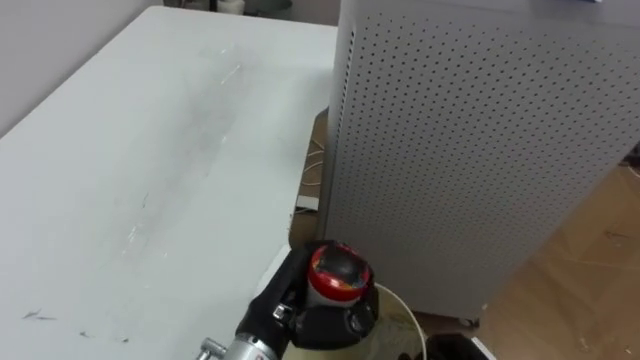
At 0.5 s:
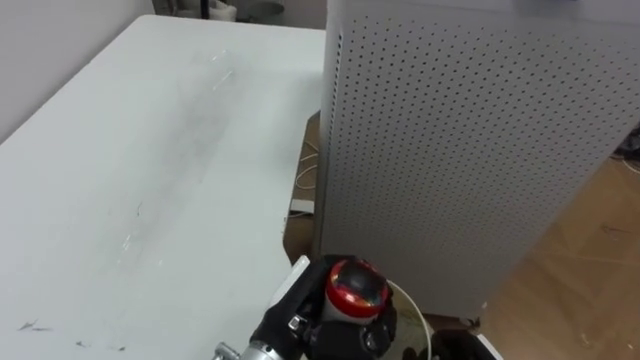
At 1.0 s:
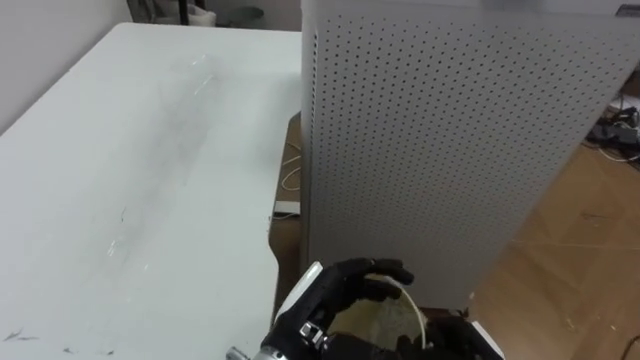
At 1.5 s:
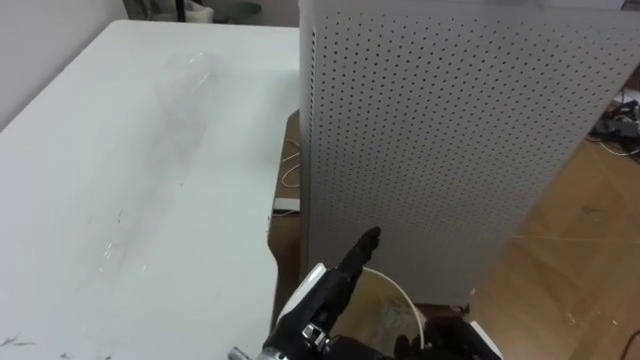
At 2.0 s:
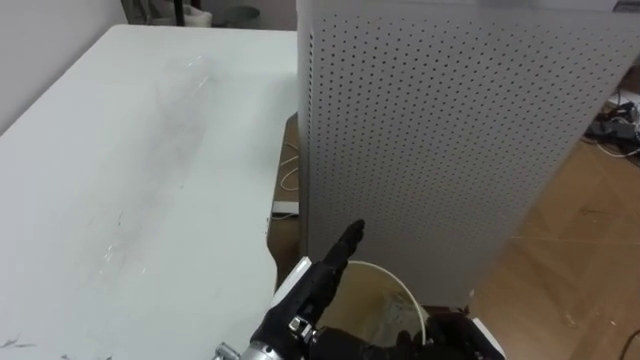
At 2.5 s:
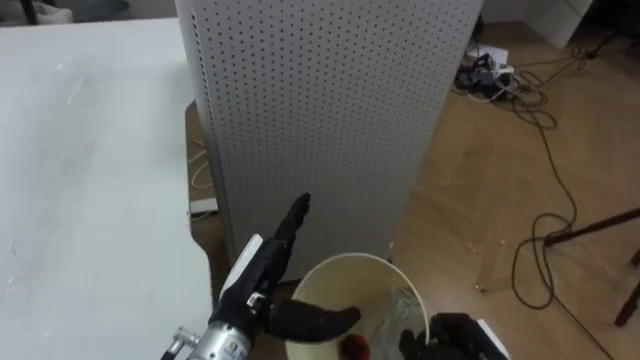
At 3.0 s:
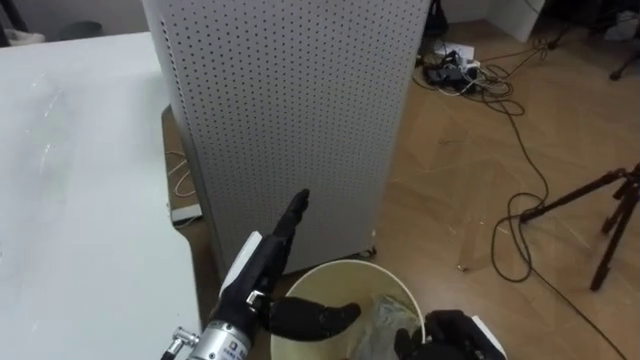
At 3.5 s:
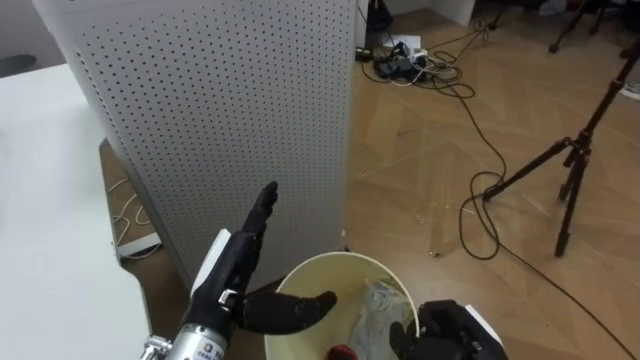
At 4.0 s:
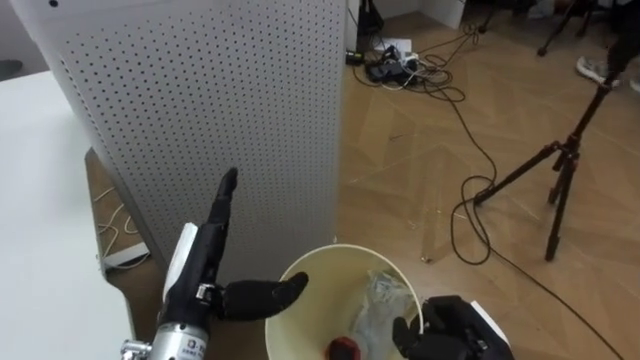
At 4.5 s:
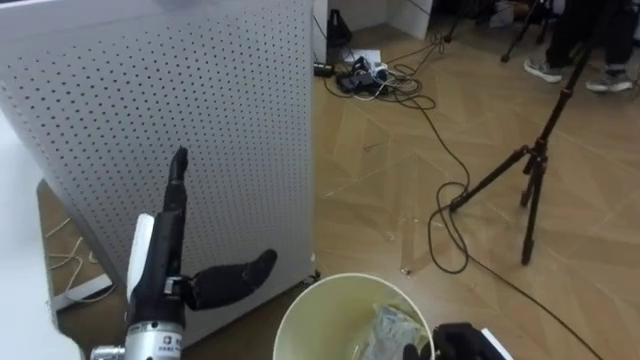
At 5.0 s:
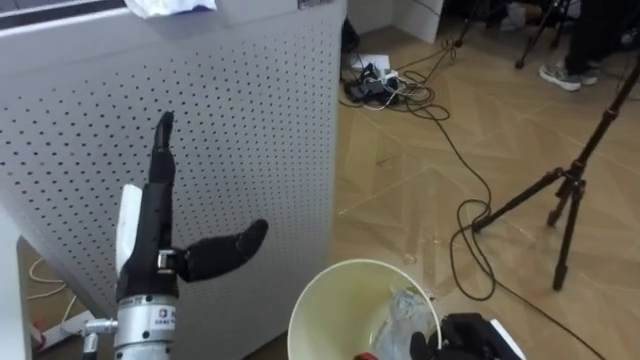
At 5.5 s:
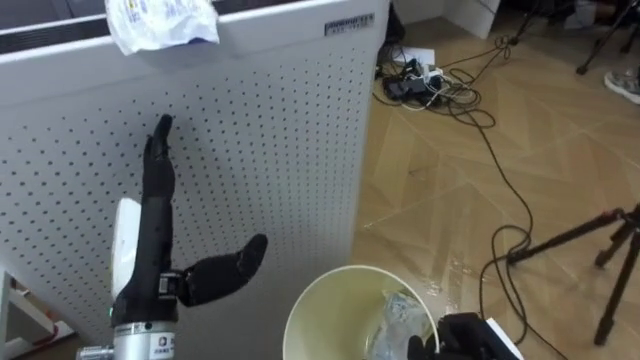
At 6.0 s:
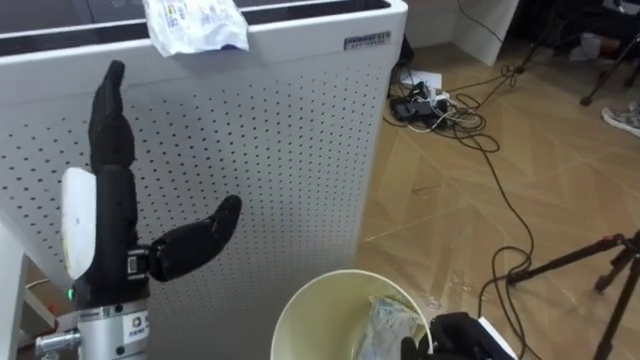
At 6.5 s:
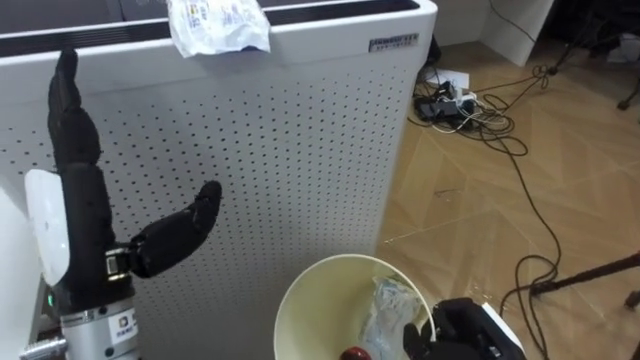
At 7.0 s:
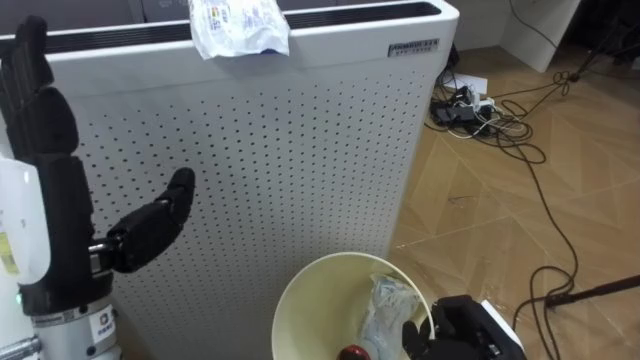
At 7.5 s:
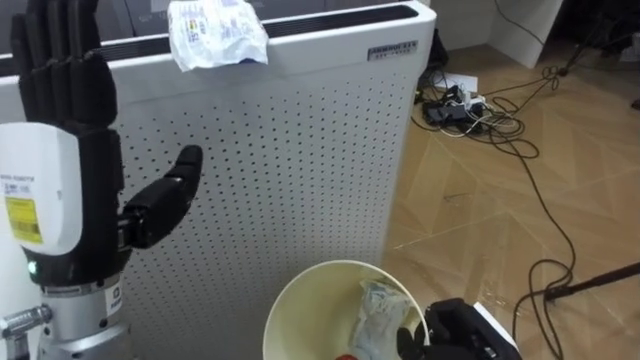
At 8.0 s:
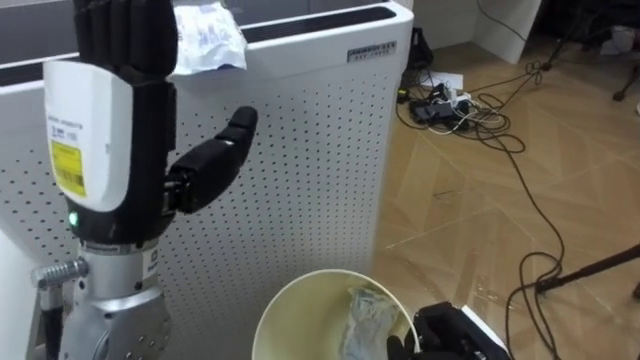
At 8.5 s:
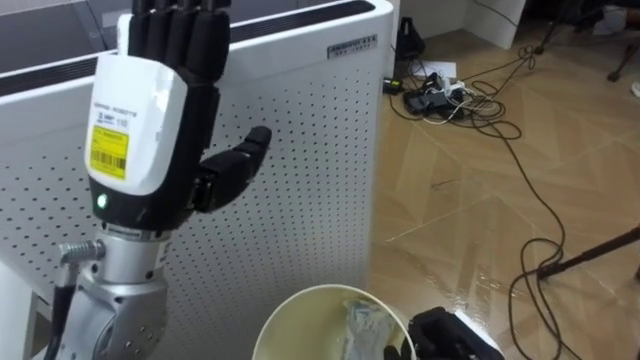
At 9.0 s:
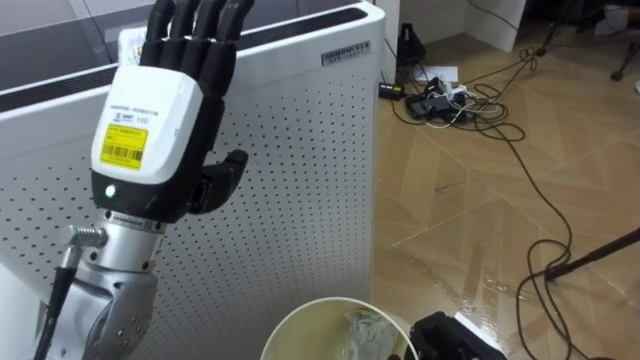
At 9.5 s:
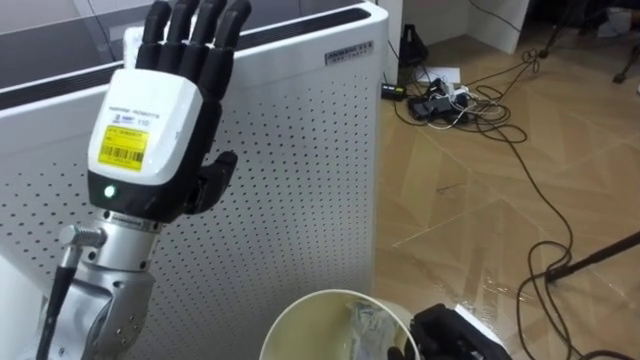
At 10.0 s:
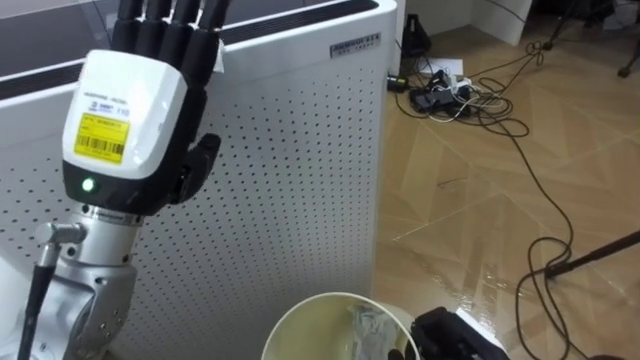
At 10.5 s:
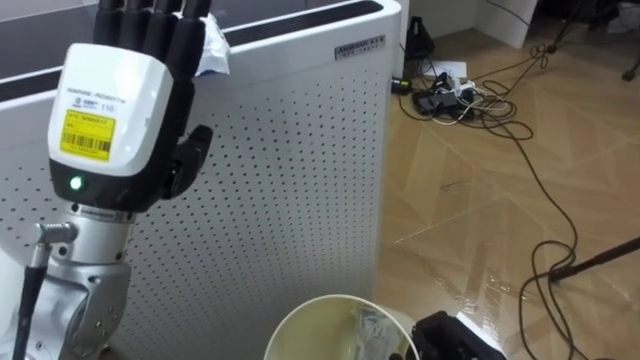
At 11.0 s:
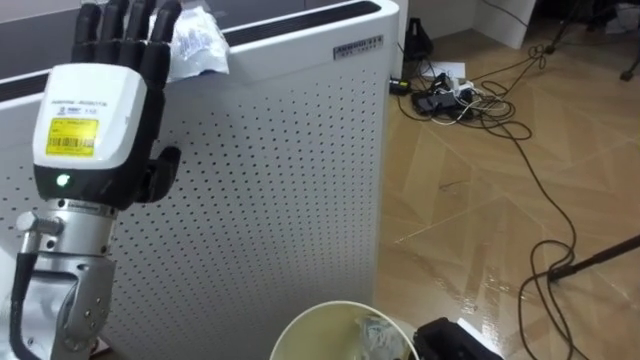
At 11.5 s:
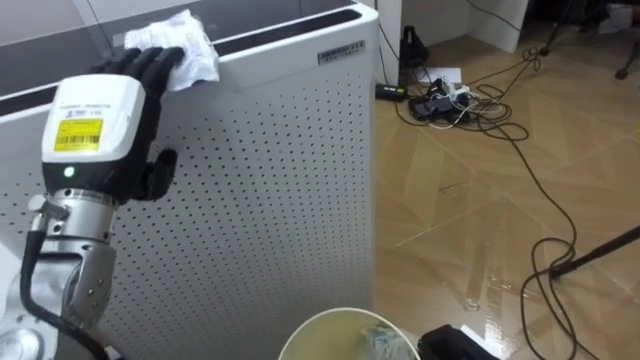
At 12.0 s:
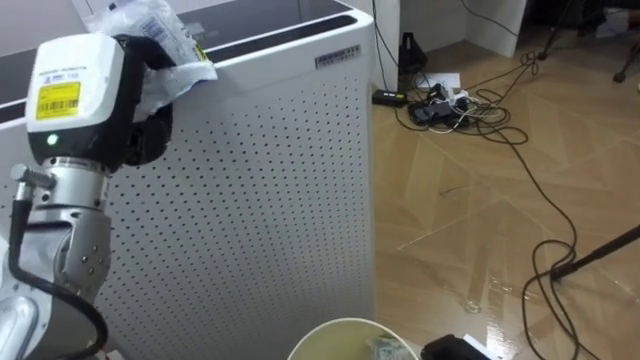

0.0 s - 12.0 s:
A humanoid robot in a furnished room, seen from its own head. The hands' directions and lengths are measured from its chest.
Task of the whole recording: Pick up the light blue package, the candy box, and the dark blue package separately, and put them into the trash can held in your right hand.
0.0 s - 2.0 s: The left hand opens up.
2.0 s - 4.0 s: The robot turns to its right by approximately 40 degrees. The left hand moves to the left, about 10 cm.
4.0 s - 6.0 s: The left hand travels upward by roughly 10 cm.
6.0 s - 8.0 s: The left hand shifts approximately 10 cm upward.
10.0 s - 12.0 s: The left hand heads forward and to the left, covering roughly 10 cm, and closes.

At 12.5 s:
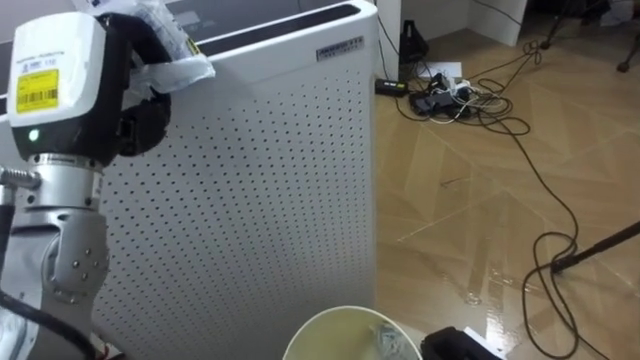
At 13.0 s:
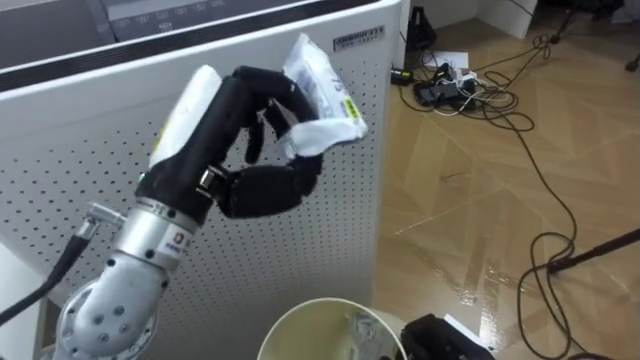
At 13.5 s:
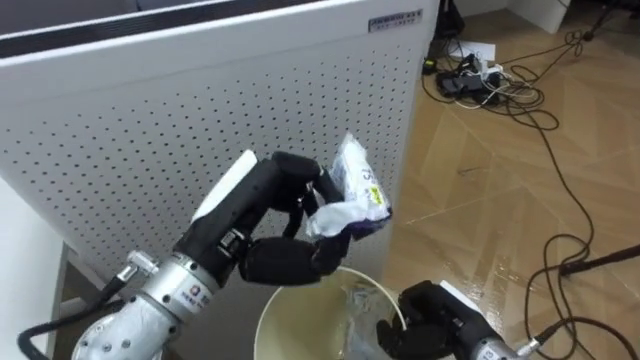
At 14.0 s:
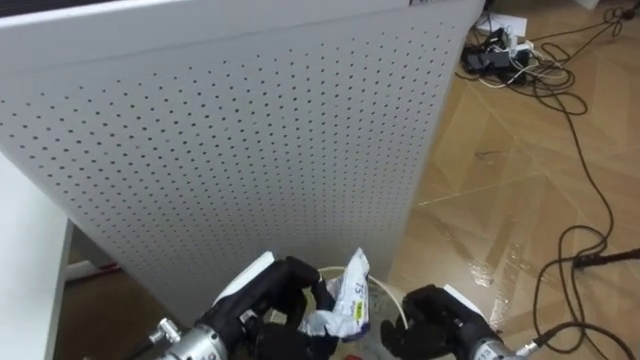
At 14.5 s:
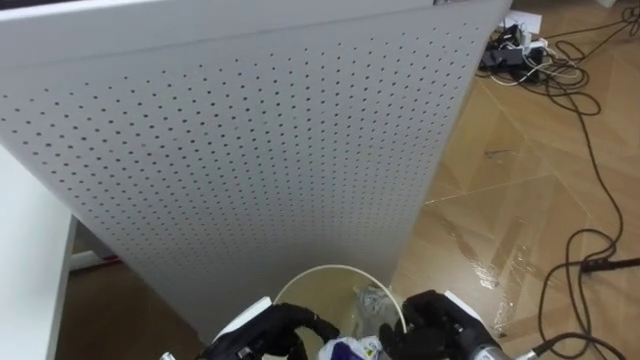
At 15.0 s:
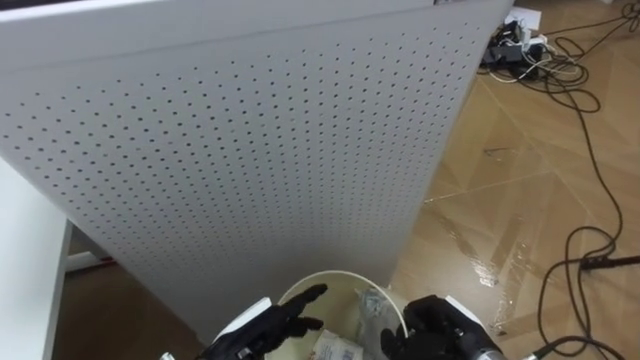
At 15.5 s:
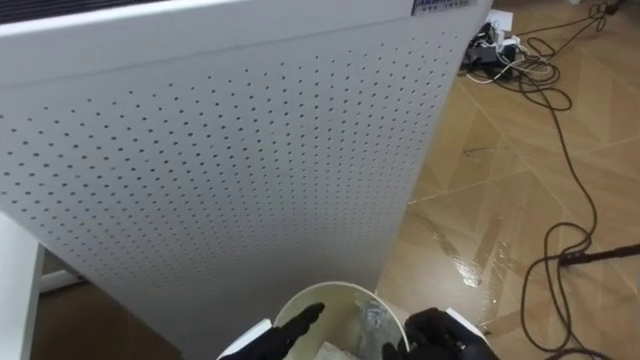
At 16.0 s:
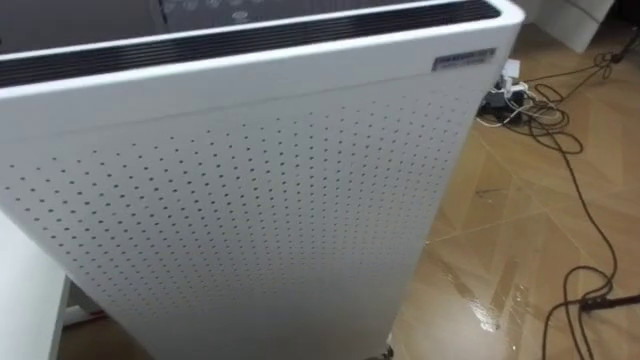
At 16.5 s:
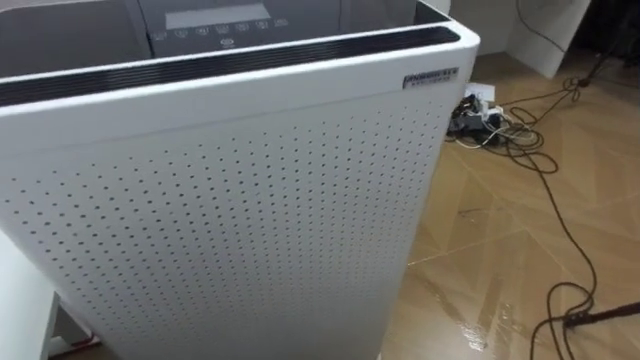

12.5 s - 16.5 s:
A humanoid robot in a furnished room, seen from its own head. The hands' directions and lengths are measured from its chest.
Task of the whole recording: Pick up the light blue package, the candy box, and the dark blue package separately, and put them into the trash can held in your right hand.
12.5 s - 14.5 s: The left hand heads downward and to the right, covering roughly 30 cm.

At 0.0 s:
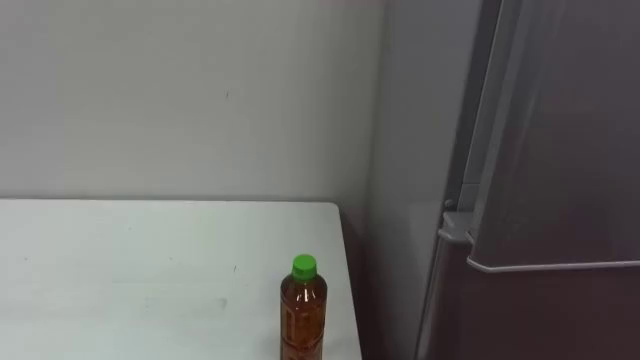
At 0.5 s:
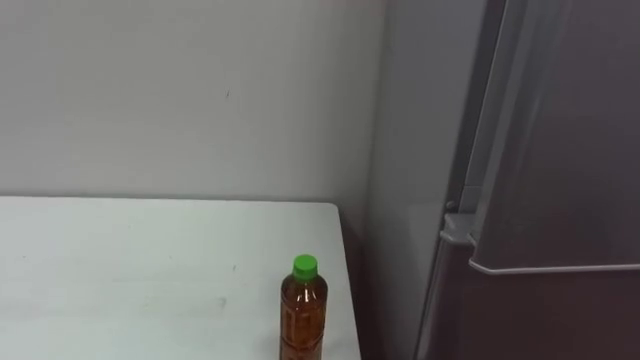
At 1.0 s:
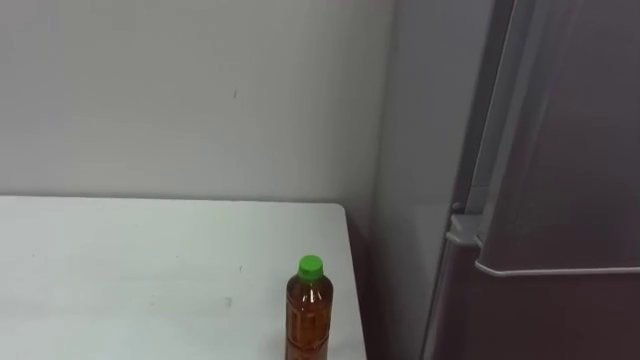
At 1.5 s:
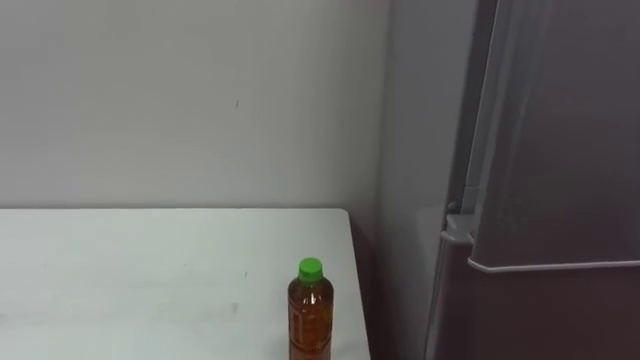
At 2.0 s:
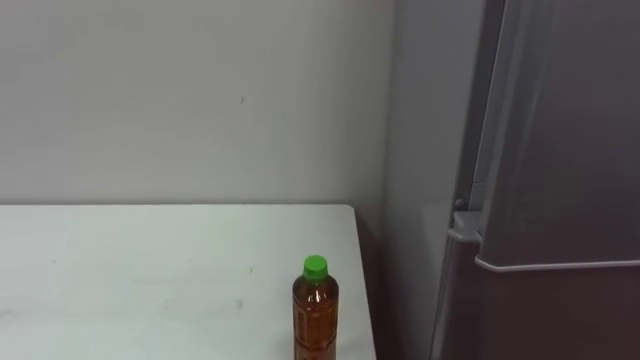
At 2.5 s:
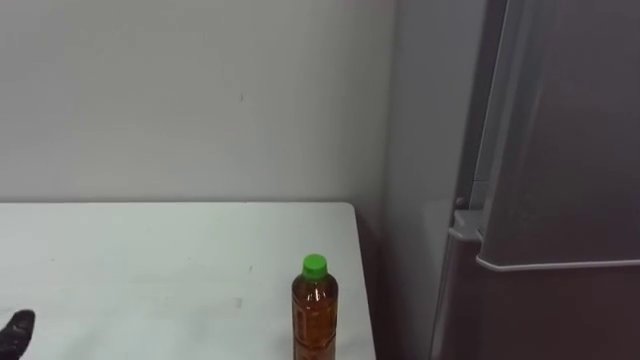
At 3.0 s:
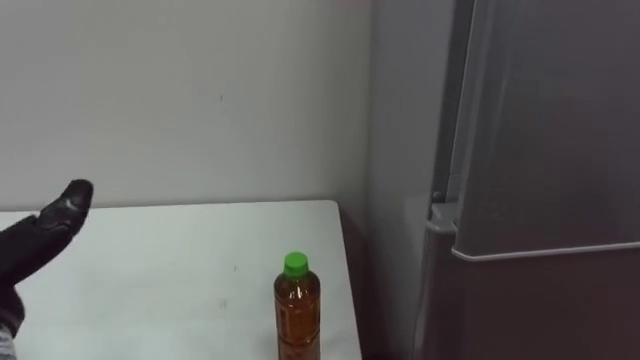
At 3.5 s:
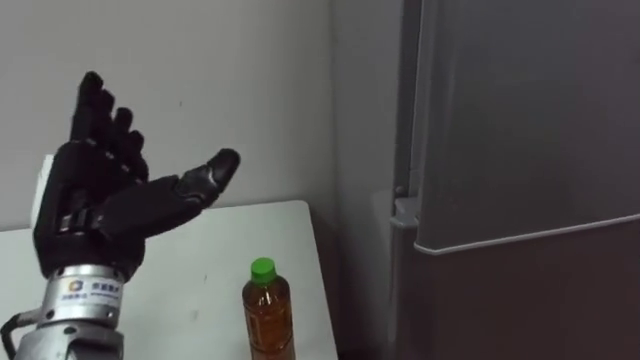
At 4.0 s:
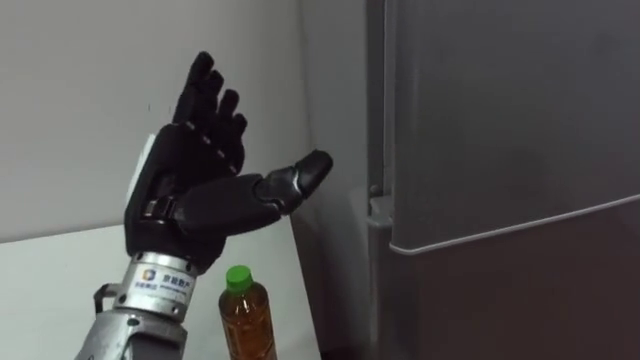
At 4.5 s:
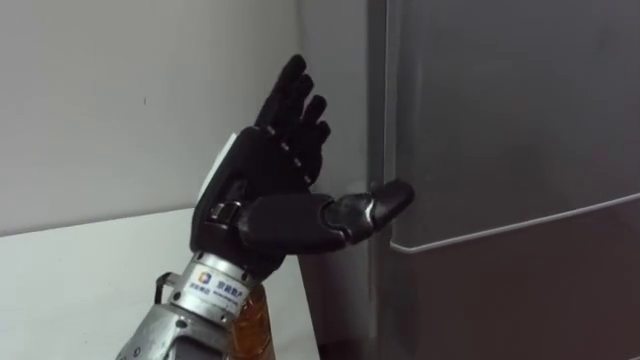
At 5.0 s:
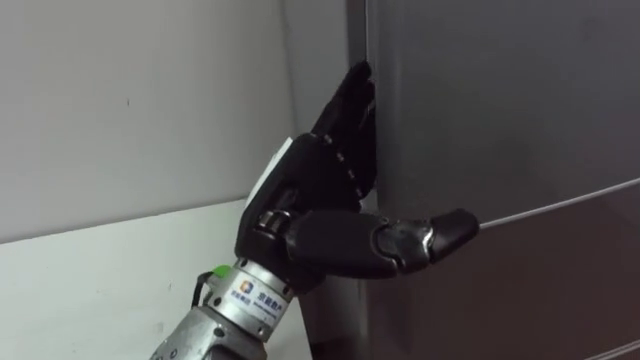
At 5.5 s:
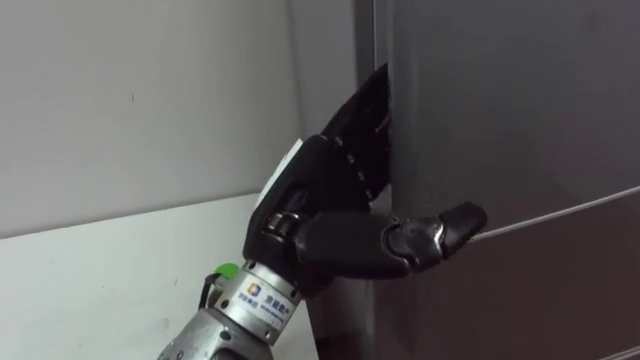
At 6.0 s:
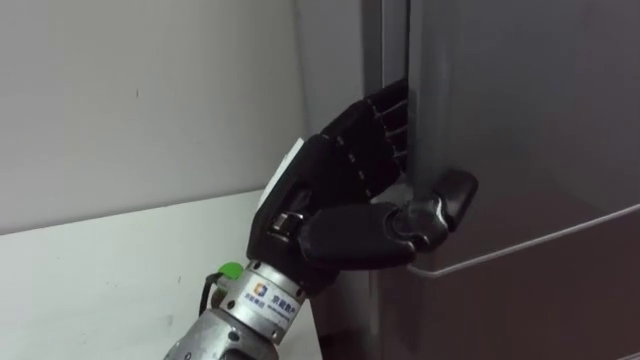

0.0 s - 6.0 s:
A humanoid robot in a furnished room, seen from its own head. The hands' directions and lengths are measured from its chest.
Task of the whole recording: Open the upper refrigerator door, put the drink from the table into the refrigerator, and then close the refrigerator door.
4.0 s - 6.0 s: The left hand moves to the right, approximately 10 cm, and closes.
